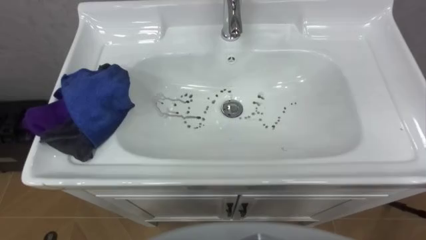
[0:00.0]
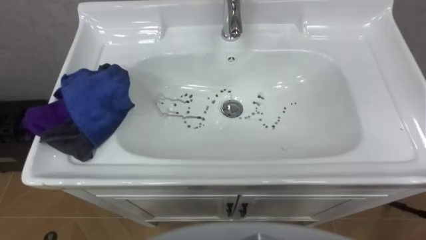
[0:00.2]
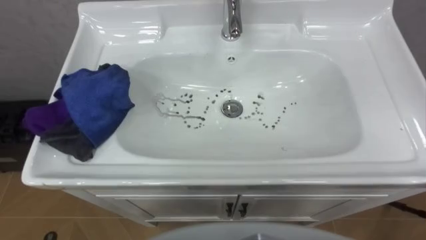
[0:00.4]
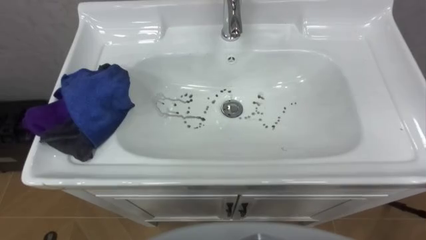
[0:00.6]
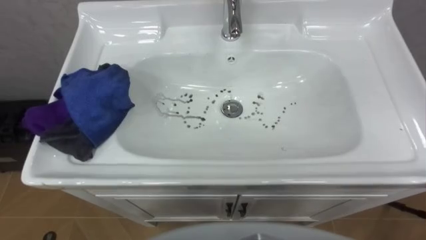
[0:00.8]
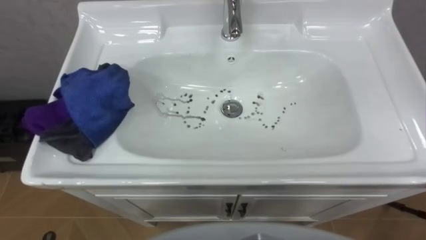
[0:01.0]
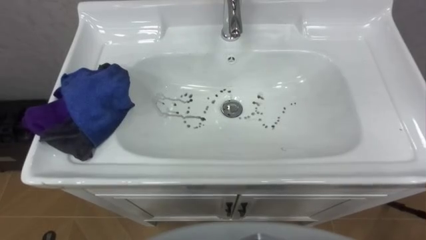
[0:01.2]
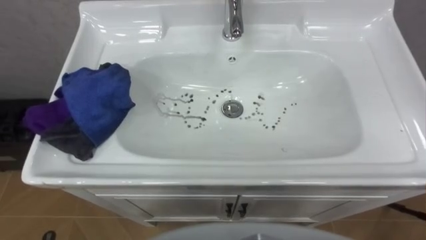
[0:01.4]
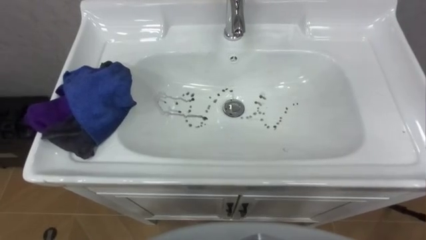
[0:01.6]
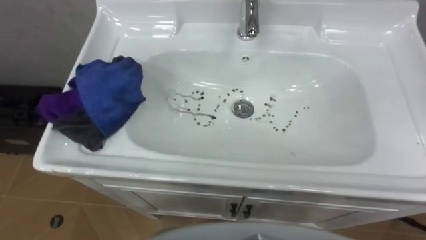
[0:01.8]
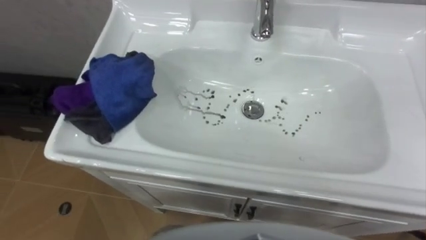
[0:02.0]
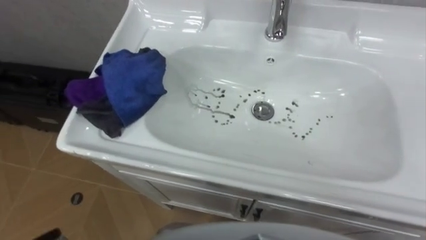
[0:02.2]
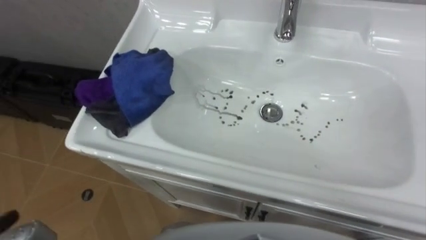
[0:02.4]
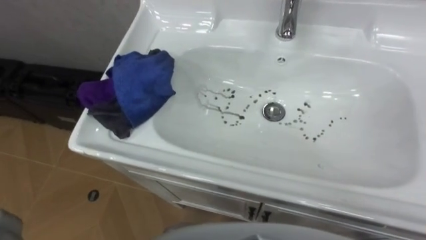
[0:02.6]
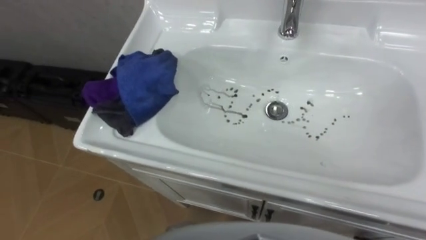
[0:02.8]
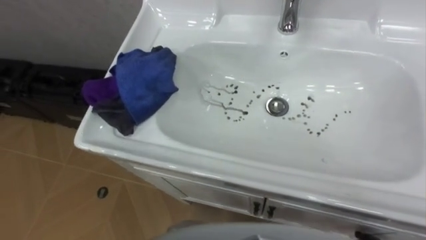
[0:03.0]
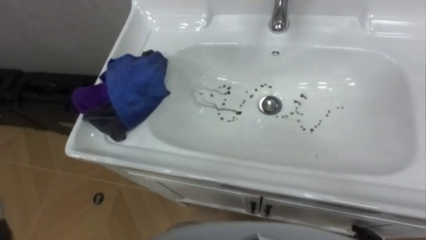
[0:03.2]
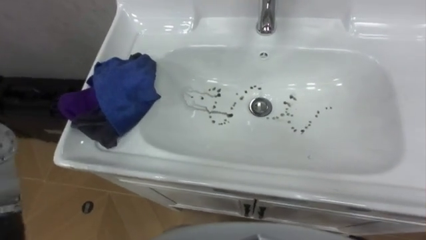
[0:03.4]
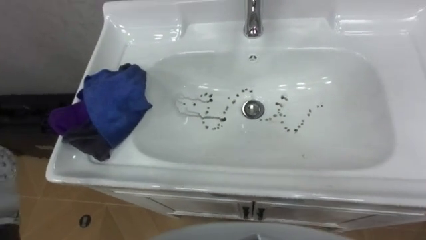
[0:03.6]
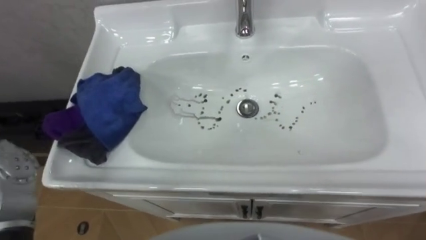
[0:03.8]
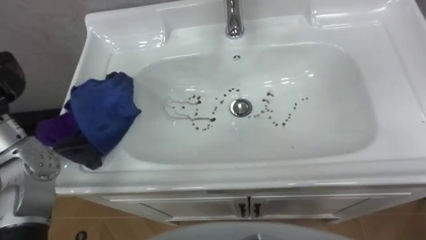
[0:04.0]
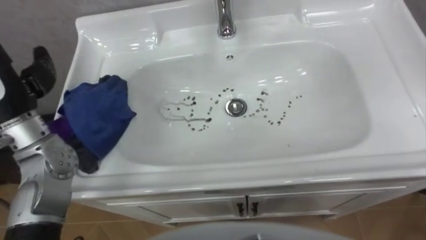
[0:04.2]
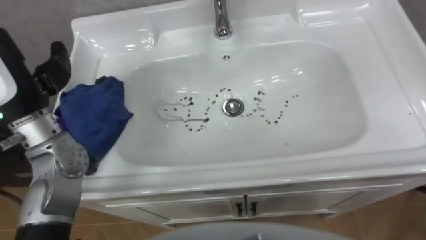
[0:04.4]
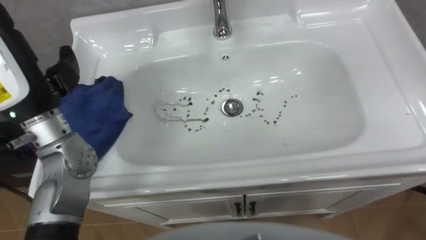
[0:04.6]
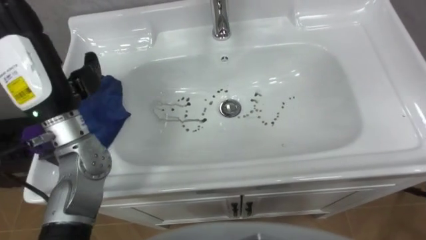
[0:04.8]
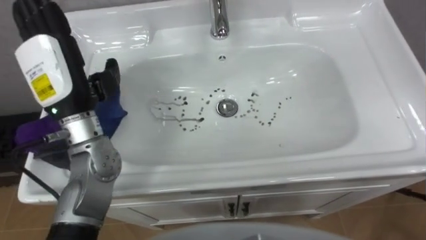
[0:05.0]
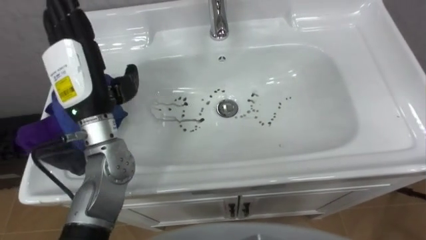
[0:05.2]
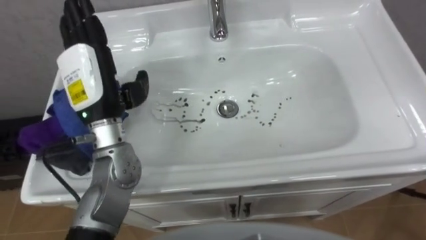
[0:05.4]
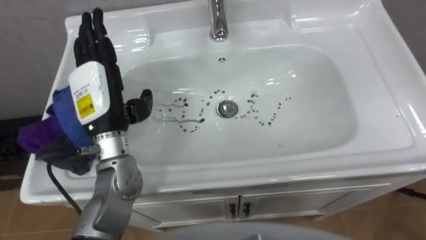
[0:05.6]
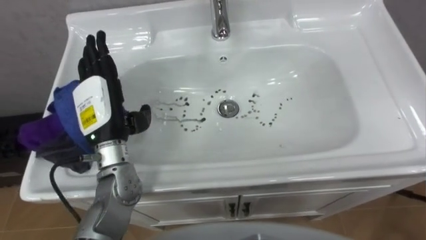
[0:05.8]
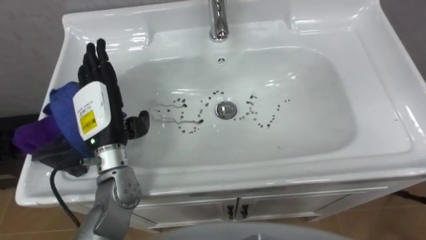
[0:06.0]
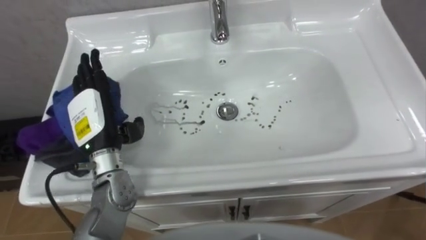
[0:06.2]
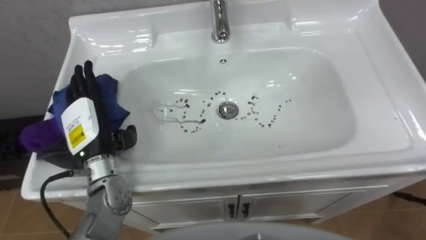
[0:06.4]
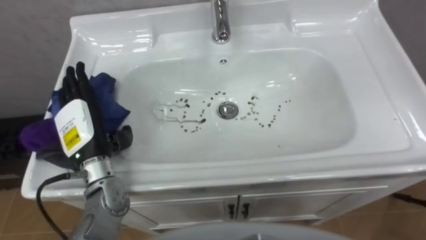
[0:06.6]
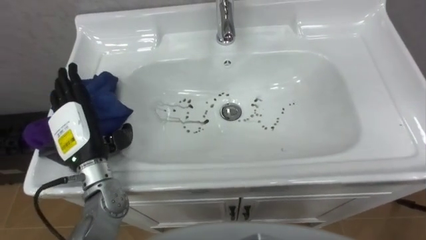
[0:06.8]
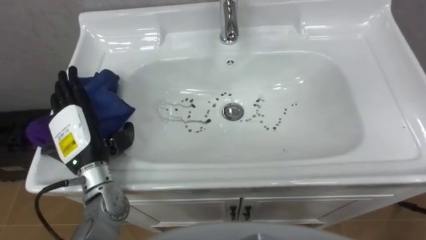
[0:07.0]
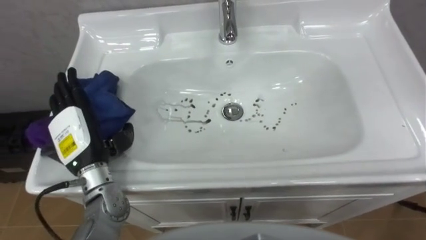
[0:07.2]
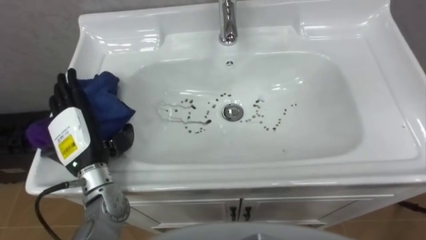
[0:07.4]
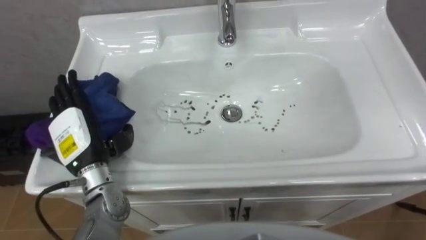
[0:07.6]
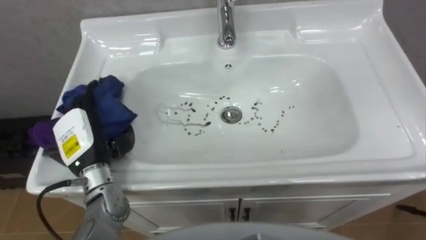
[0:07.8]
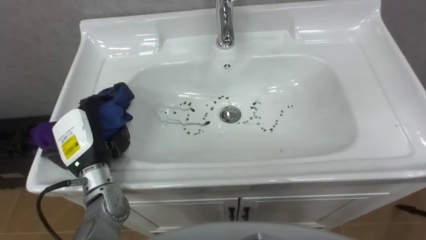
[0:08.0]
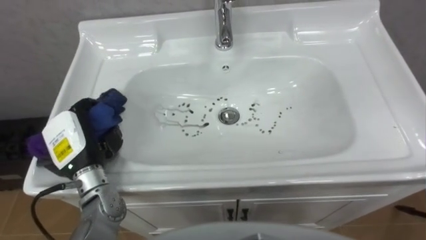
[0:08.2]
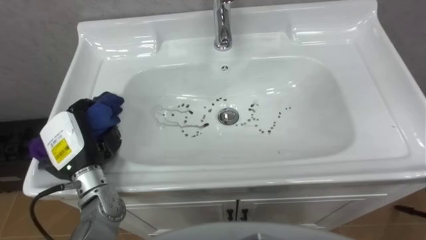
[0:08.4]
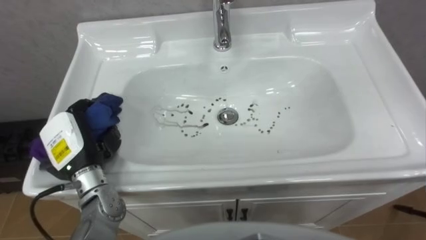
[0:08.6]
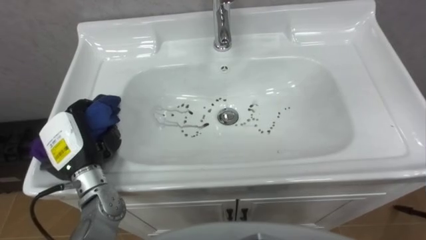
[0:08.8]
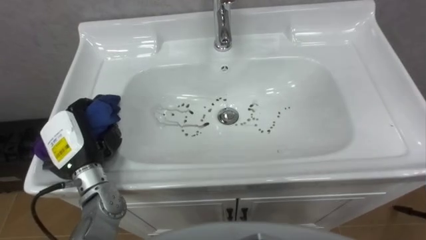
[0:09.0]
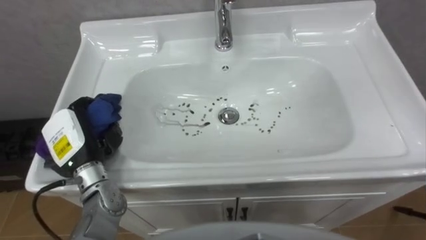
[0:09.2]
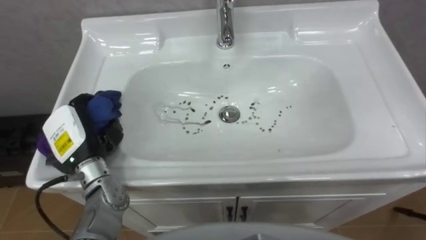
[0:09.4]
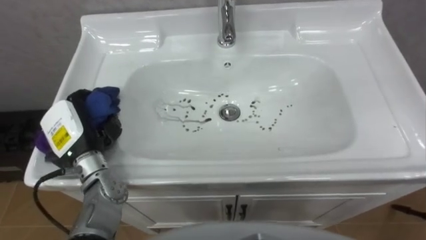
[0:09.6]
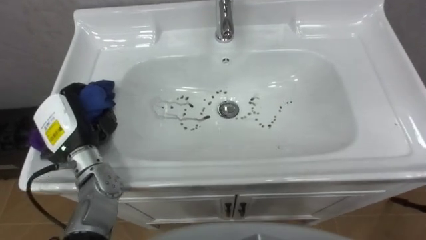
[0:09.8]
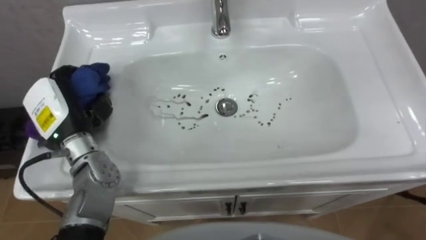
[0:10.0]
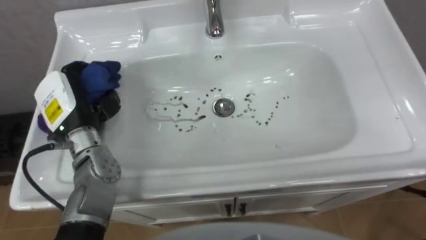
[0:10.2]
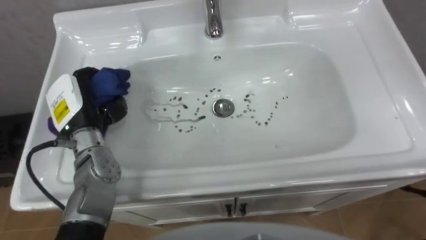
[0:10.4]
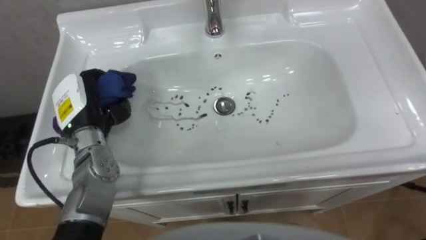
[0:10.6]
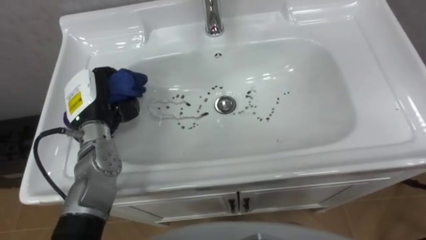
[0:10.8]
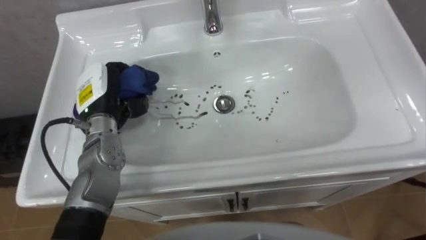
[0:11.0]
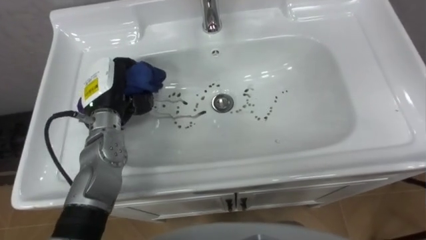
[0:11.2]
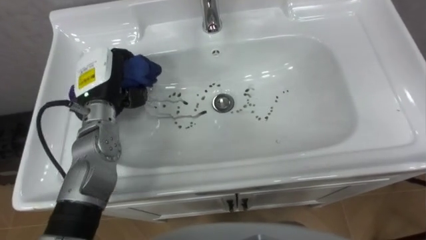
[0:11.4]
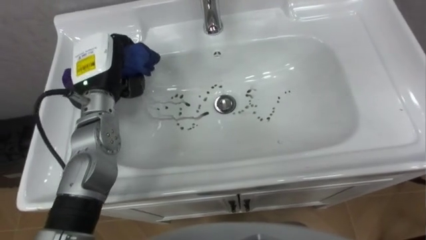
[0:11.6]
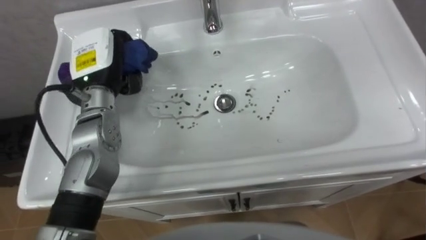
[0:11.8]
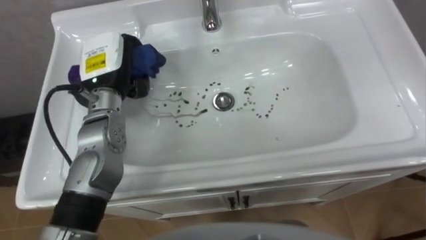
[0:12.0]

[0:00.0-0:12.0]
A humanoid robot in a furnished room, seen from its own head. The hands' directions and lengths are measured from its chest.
Task of the whole recording: Use the cloth on the right to wipe away the black stain in the sink.
0:06.0 to 0:07.6: The left hand ends up some 5 cm from where it was.
0:07.6 to 0:09.0: The left hand closes its fingers.
0:09.0 to 0:10.4: The left hand goes roughly 5 cm forward.
0:10.4 to 0:12.0: The left hand shifts approximately 10 cm to the right and forward.

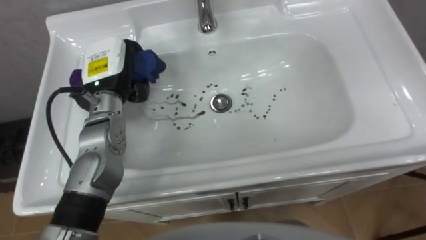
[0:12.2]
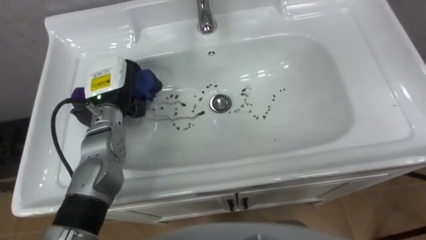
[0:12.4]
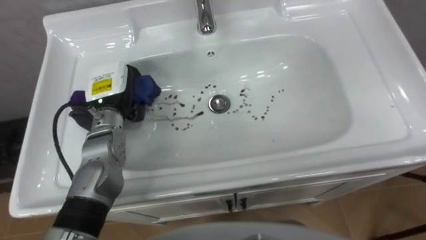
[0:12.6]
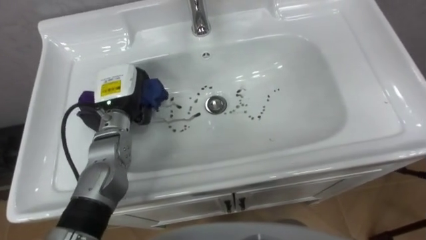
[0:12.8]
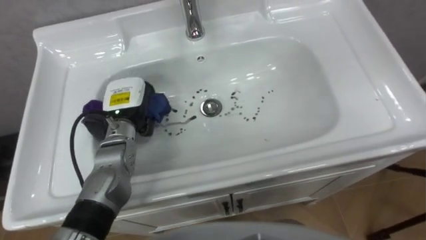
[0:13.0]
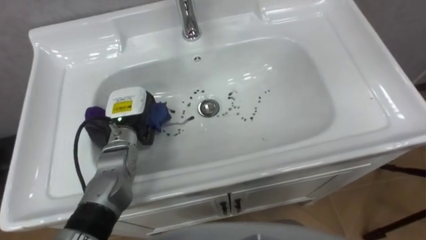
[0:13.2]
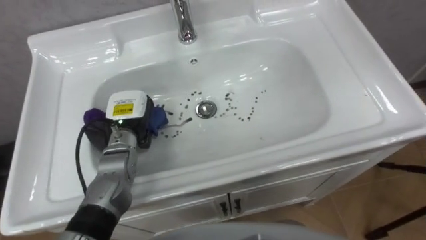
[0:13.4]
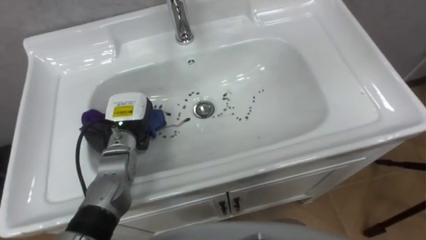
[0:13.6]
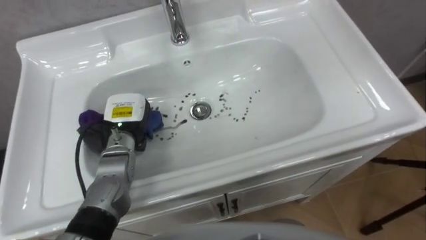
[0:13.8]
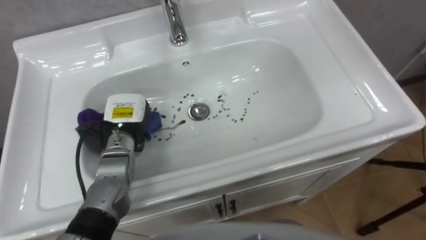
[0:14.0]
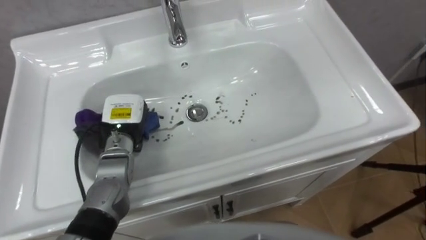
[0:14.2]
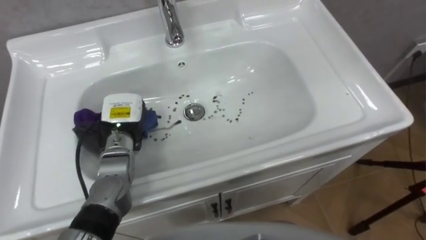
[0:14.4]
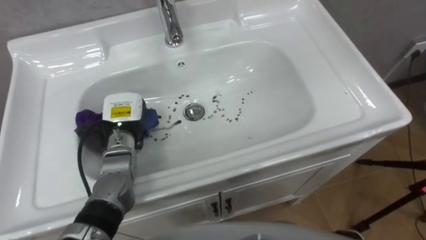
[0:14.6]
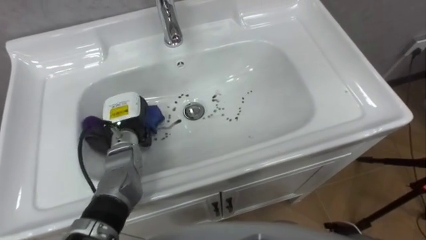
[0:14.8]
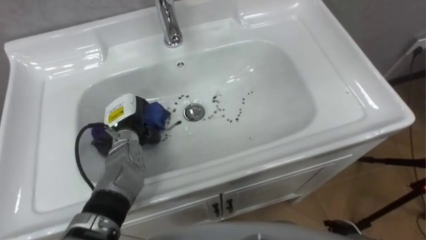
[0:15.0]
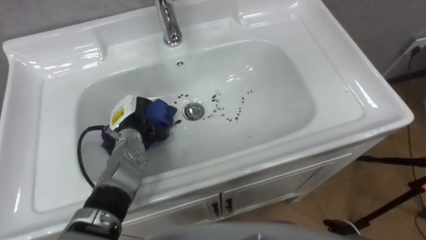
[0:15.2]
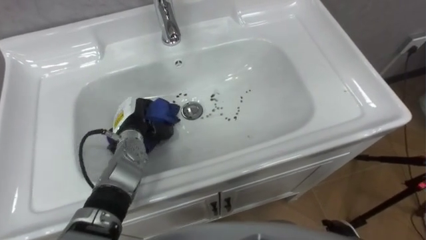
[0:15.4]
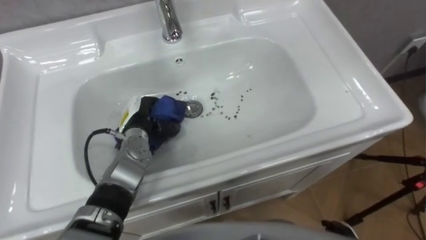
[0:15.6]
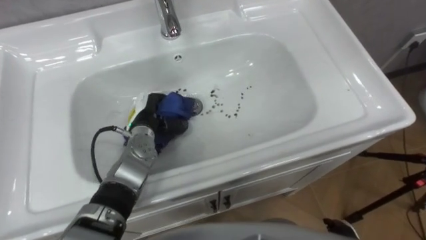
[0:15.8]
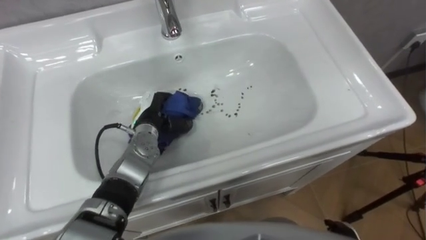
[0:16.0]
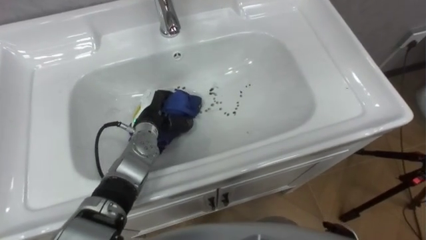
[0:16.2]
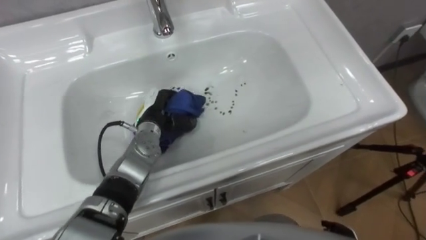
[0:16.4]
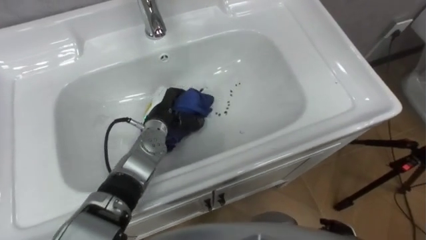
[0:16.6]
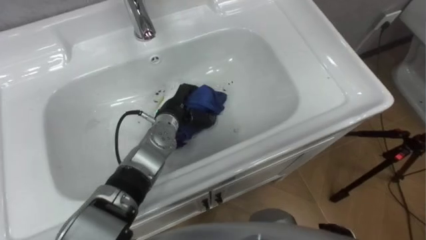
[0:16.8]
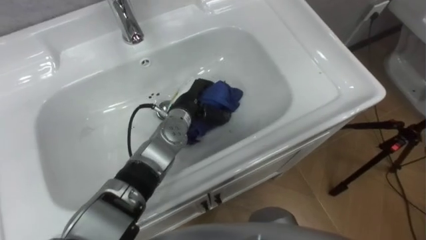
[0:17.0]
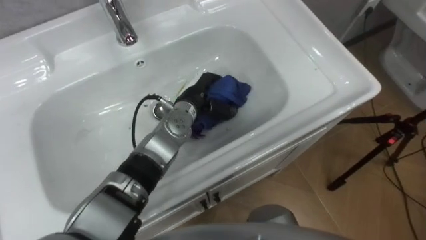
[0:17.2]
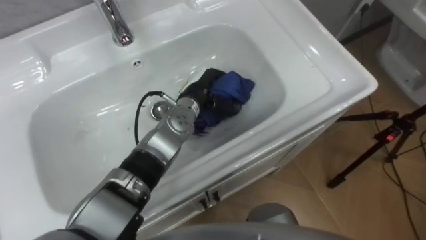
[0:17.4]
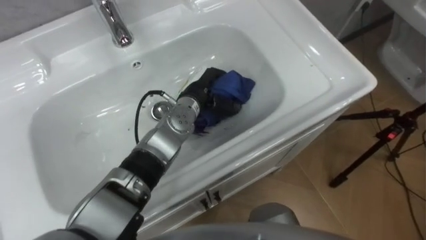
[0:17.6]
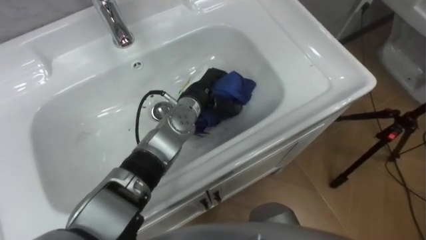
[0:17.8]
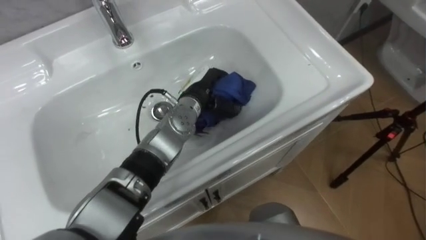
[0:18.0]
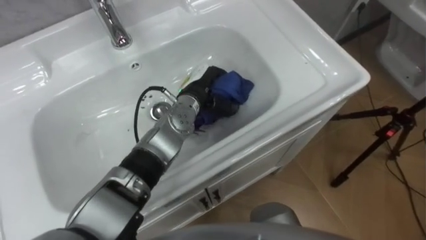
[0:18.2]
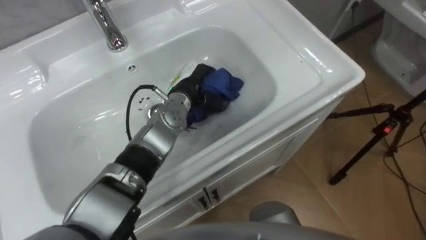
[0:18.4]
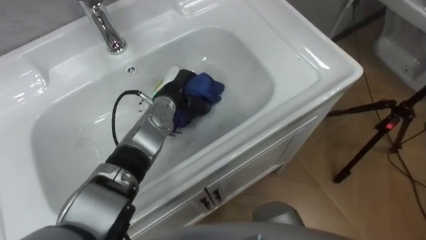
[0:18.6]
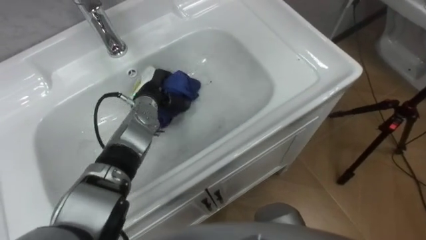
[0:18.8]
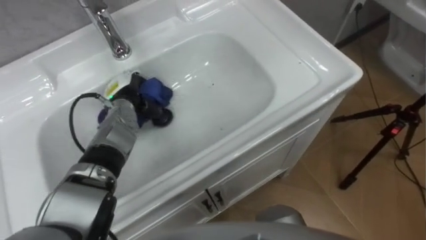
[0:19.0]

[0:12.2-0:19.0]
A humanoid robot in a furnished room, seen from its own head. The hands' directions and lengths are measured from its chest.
Task of the whole recording: Use the cloth on the right to wipe away the black stain in the sink.
0:12.2 to 0:13.6: The left hand travels downward by roughly 10 cm.
0:15.0 to 0:16.2: The left hand is displaced to the right by roughly 5 cm.
0:16.2 to 0:17.6: The left hand shifts some 10 cm to the right and upward.
0:17.6 to 0:19.0: The left hand moves to the left, some 15 cm.
